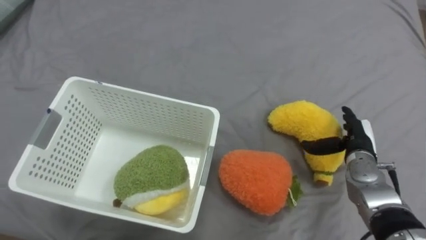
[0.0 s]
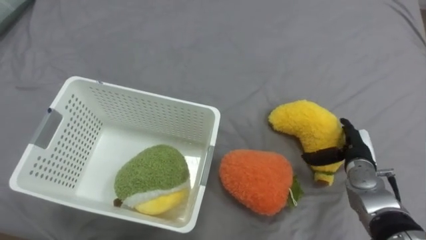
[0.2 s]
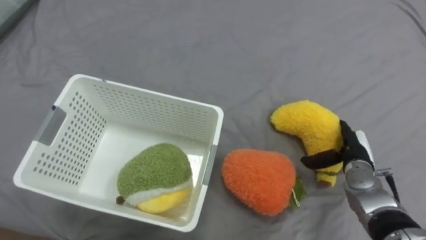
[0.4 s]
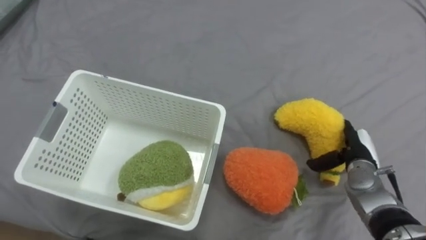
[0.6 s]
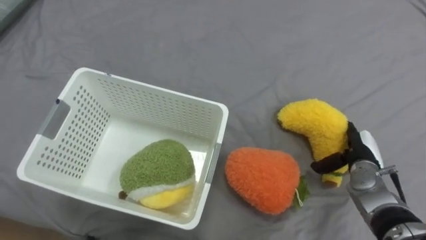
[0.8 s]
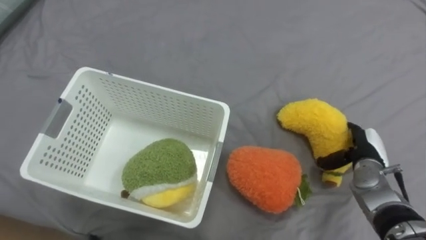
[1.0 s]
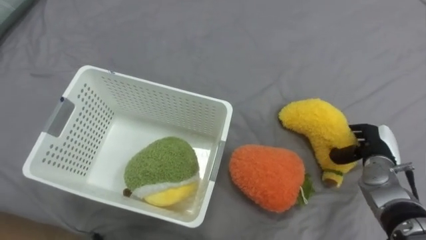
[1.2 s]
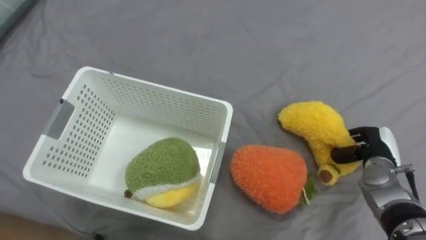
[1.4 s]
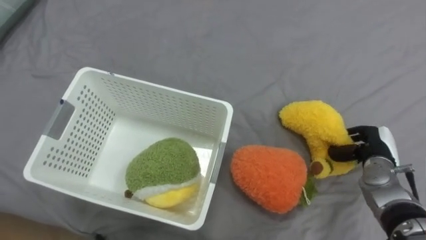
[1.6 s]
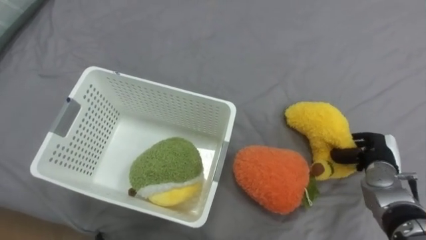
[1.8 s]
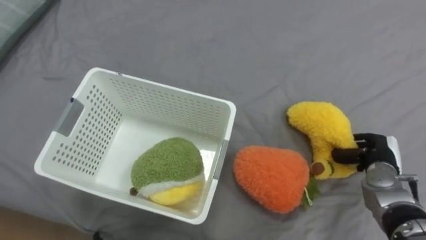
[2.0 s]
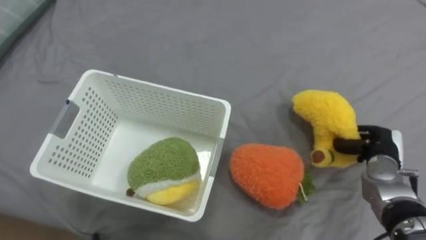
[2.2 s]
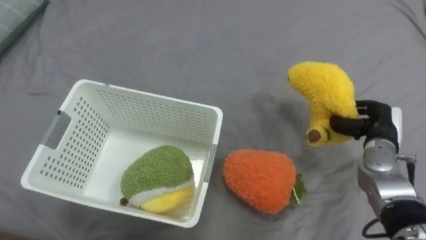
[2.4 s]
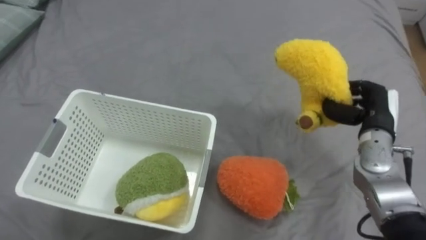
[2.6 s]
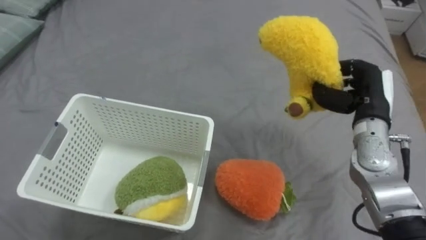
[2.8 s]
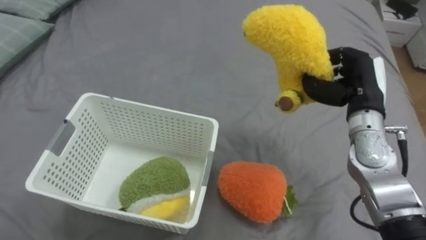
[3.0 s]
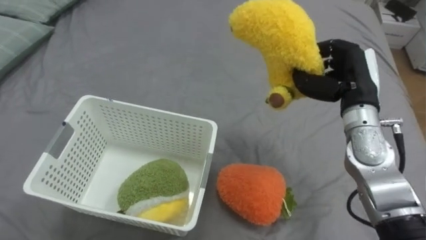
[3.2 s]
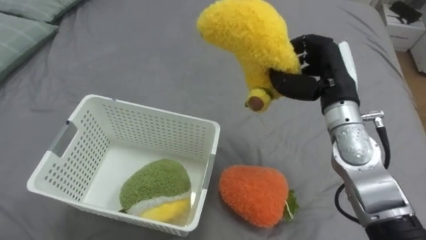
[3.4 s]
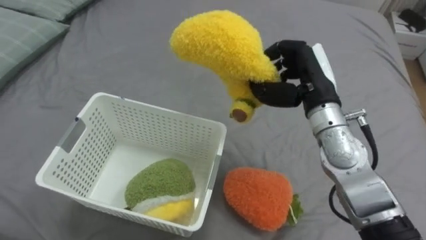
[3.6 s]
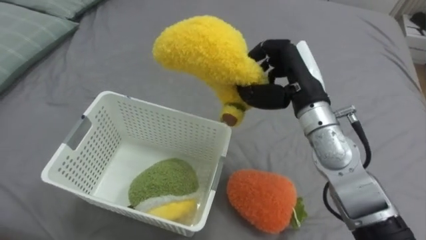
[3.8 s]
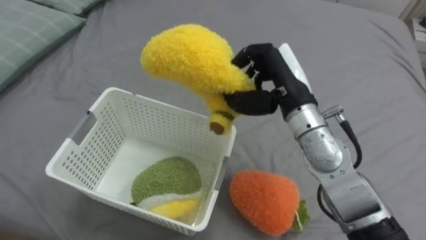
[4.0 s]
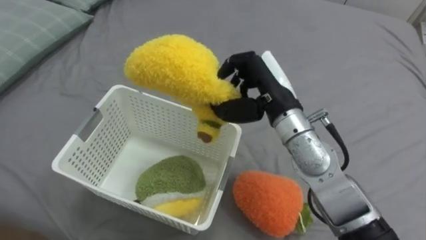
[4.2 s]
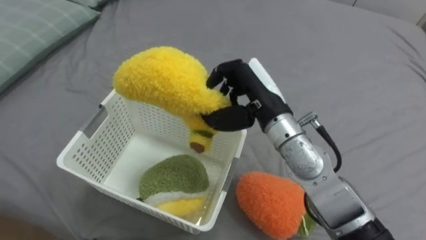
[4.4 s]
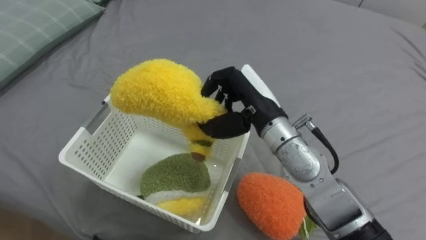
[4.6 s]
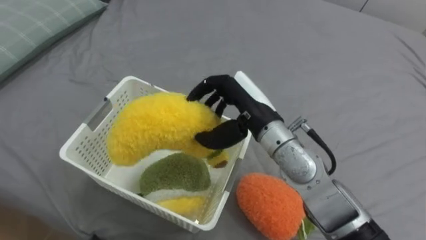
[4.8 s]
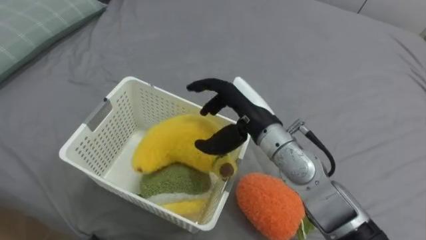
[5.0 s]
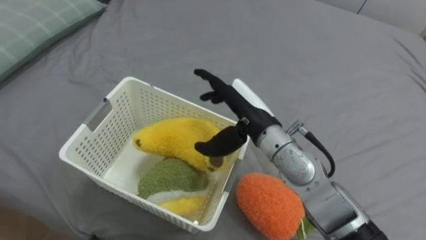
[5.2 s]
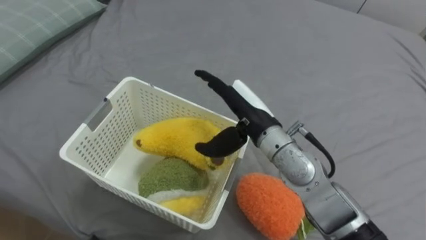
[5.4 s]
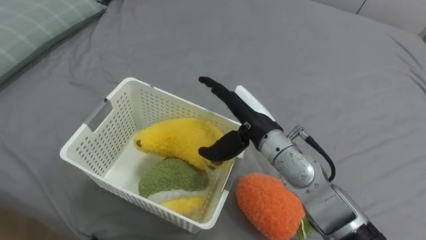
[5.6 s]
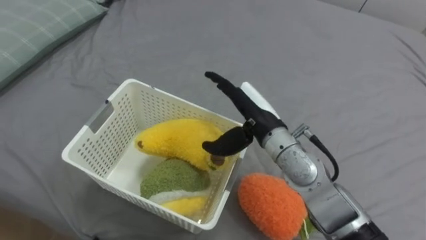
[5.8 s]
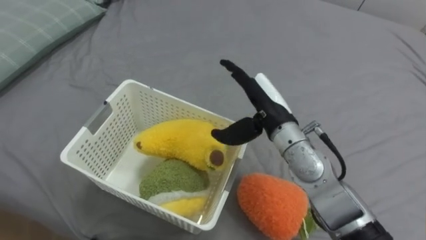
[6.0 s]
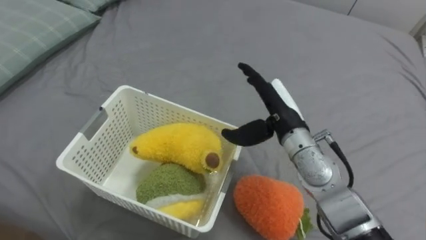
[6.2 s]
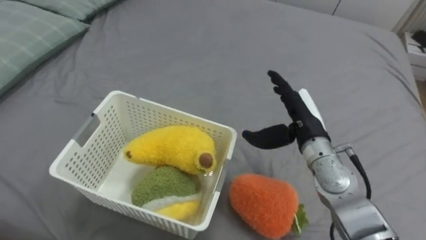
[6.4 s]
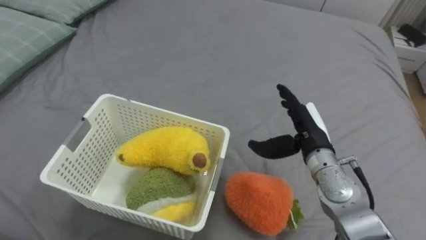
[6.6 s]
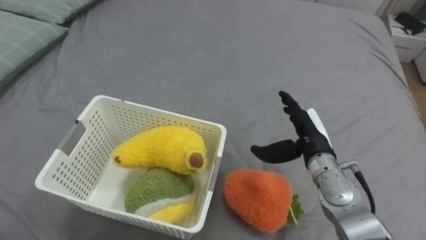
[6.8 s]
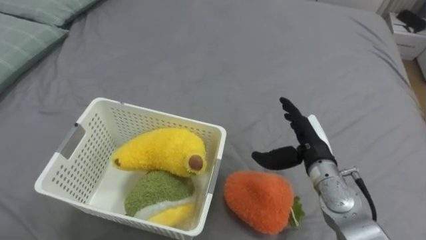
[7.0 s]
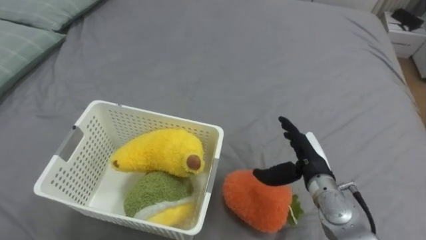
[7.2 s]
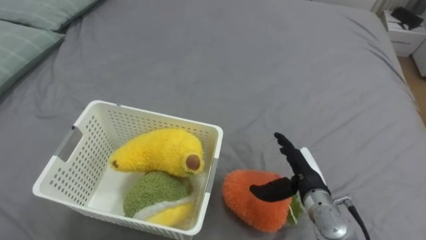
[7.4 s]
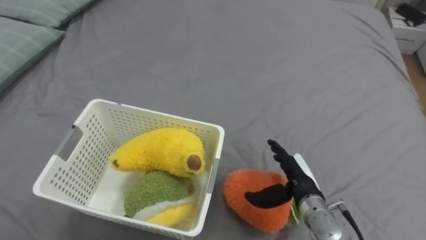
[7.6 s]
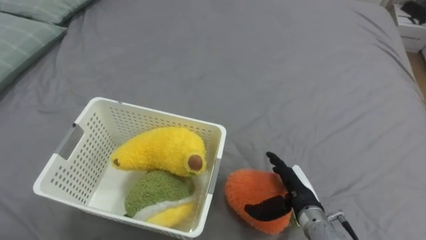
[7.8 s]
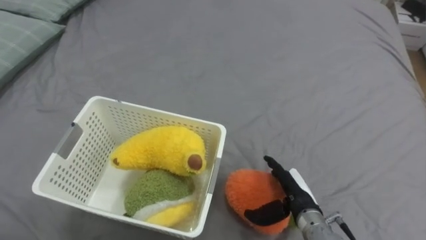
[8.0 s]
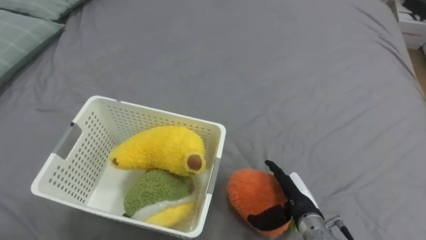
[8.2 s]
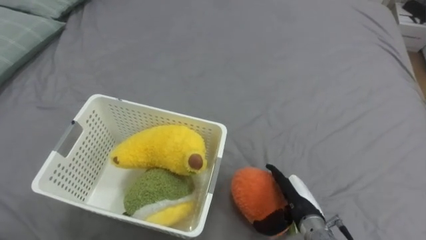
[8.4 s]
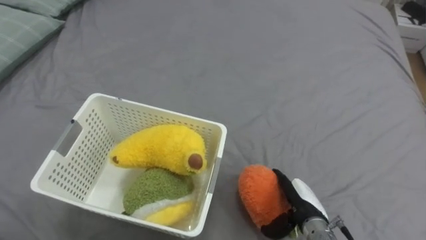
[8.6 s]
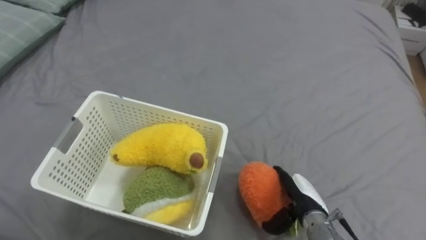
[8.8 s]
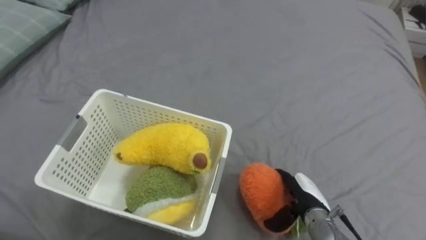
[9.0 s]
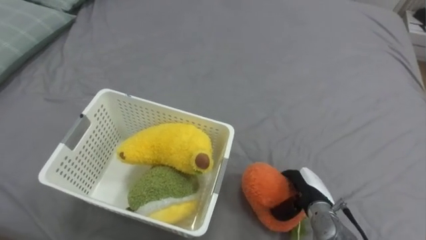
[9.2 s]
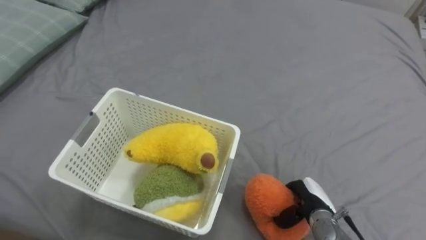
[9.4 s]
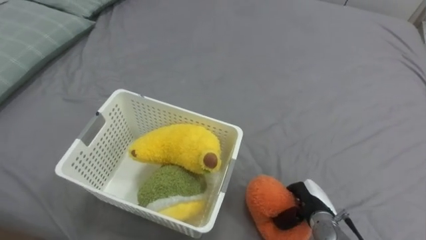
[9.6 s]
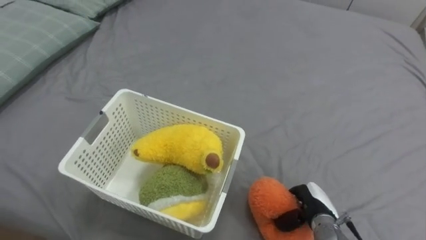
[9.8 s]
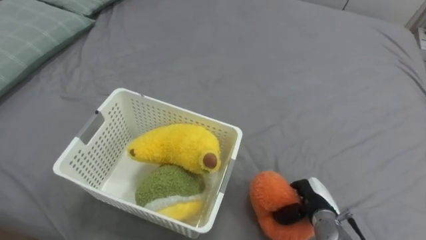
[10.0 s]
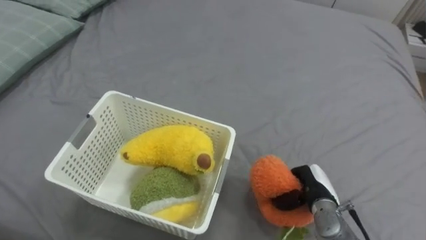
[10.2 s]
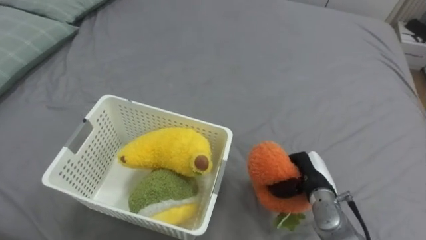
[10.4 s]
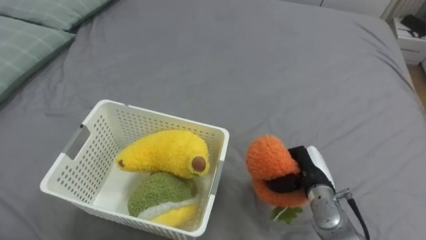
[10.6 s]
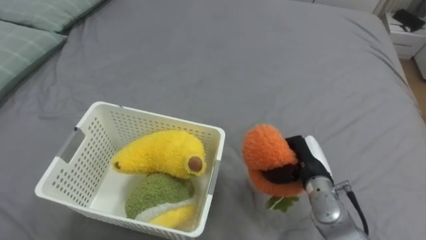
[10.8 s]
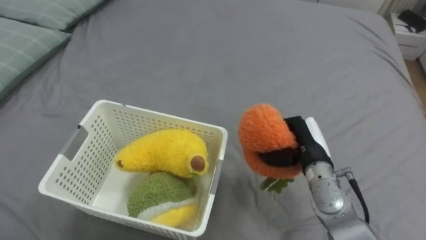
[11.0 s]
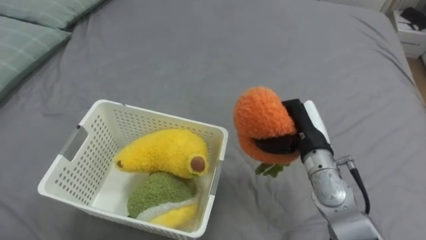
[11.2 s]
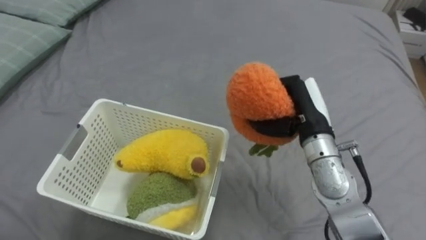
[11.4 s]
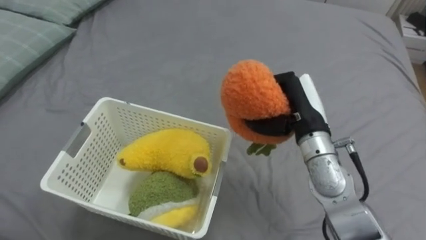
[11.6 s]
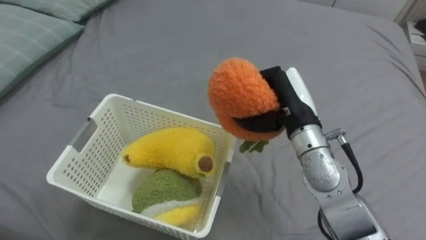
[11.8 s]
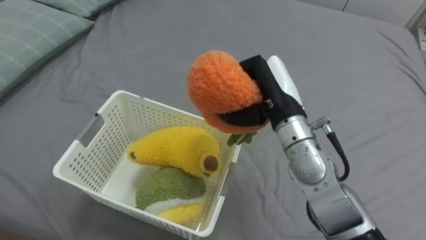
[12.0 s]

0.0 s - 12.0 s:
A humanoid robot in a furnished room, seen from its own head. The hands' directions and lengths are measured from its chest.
Task of the whole recording: Put the toys on the bed into the basket on the left.
0.0 s - 1.6 s: The right hand closes.
1.6 s - 3.0 s: The right hand heads upward and to the left, covering about 15 cm.
3.0 s - 4.4 s: The right hand is displaced to the left by approximately 20 cm.
4.4 s - 6.0 s: The right hand opens up.
6.0 s - 7.6 s: The right hand travels downward, to the right and backward by approximately 20 cm.
7.6 s - 9.0 s: The right hand shifts roughly 5 cm downward.
9.0 s - 10.4 s: The right hand ends up approximately 5 cm from where it was, and closes.
10.4 s - 12.0 s: The right hand moves upward and to the left, roughly 25 cm.

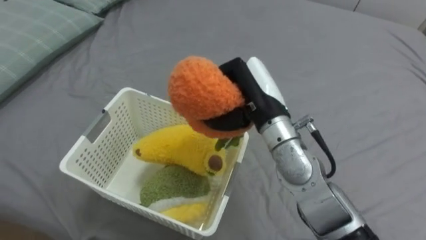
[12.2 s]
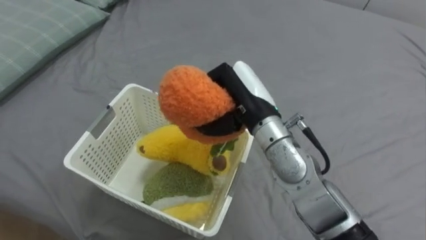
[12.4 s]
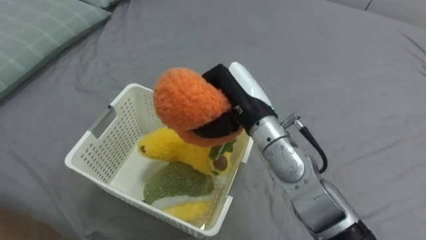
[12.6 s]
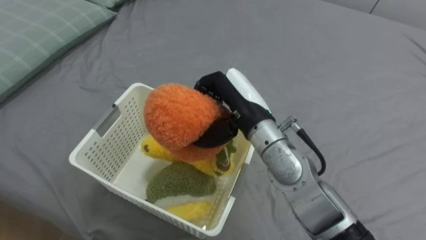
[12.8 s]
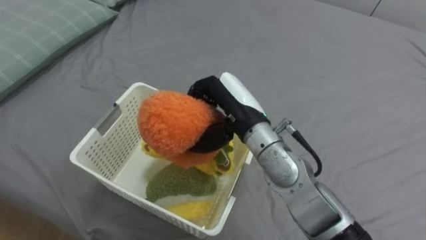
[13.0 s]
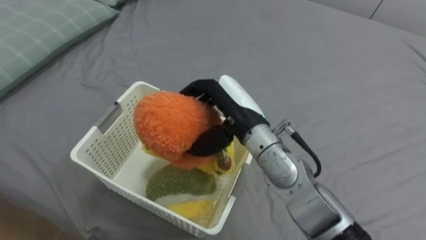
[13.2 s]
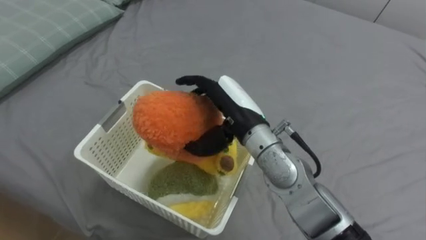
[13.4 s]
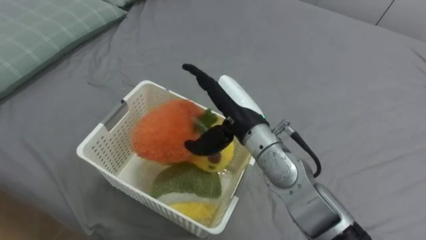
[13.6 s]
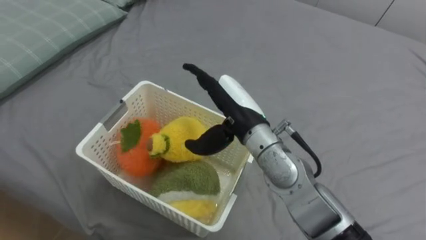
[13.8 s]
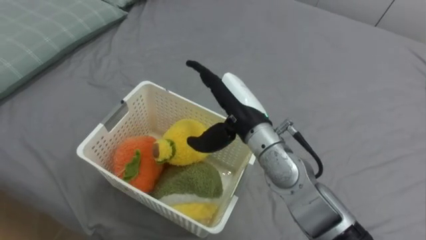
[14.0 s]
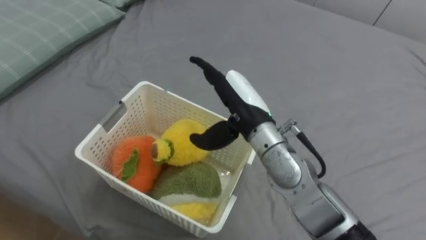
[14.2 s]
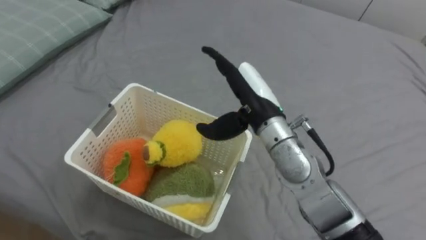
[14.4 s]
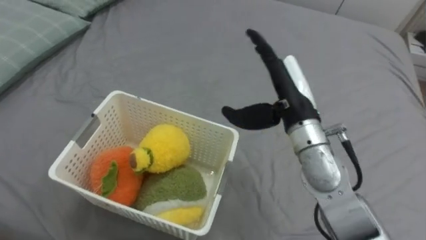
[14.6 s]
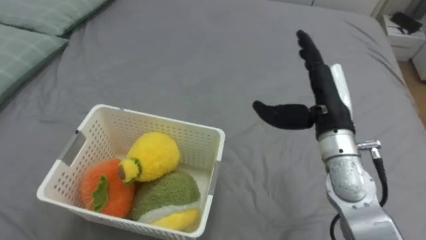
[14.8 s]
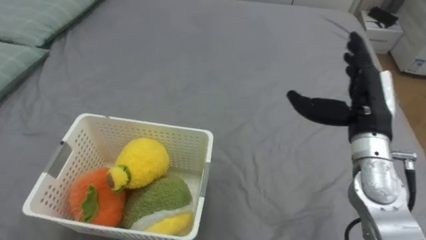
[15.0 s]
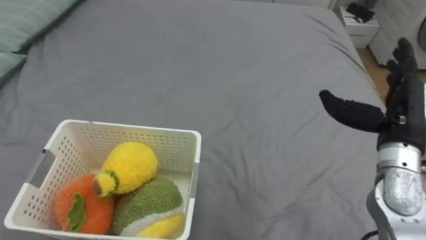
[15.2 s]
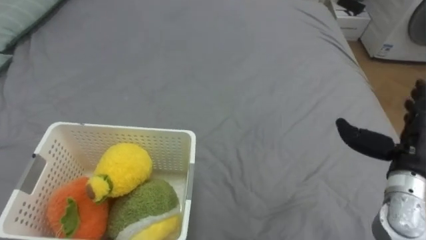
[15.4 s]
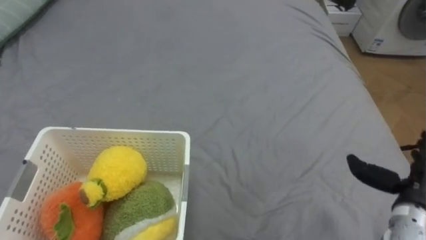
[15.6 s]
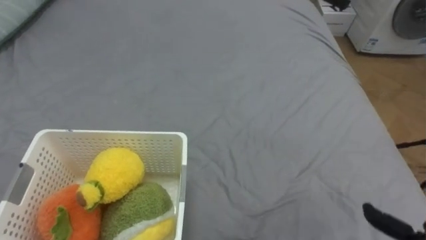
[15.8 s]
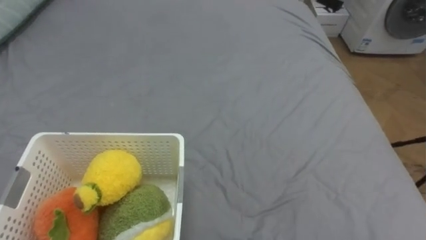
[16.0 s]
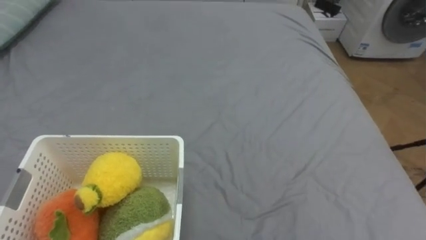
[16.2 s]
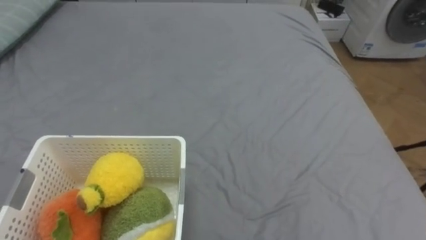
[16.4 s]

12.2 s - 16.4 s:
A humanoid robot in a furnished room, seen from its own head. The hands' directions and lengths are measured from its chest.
Task of the whole recording: Put the toys on the bed into the basket on the left.
12.2 s - 13.6 s: The right hand opens its fingers.
13.6 s - 15.0 s: The right hand is displaced to the right by about 20 cm.
